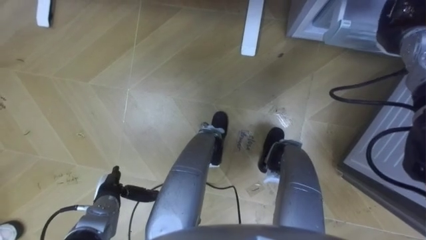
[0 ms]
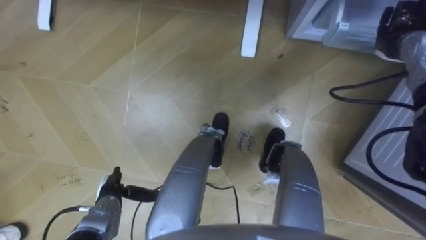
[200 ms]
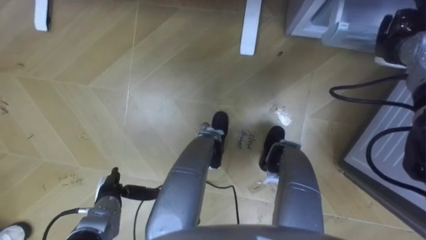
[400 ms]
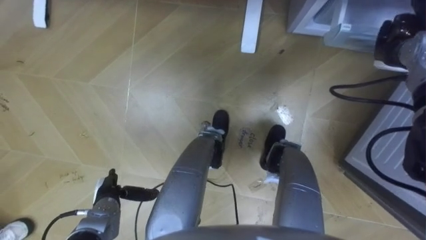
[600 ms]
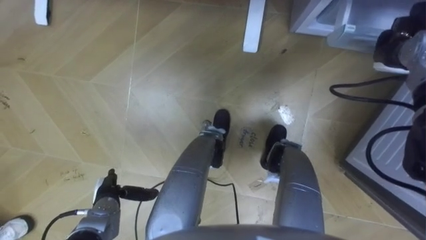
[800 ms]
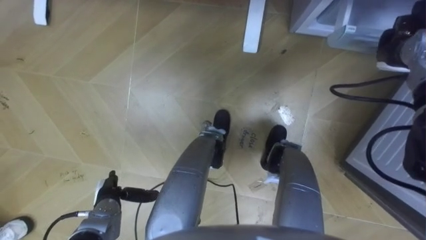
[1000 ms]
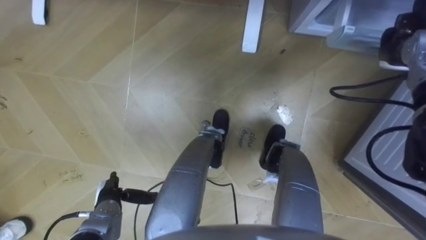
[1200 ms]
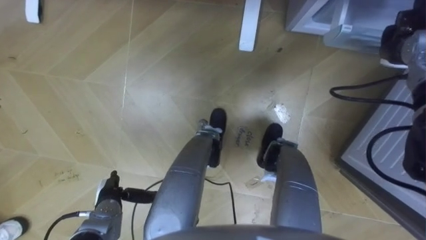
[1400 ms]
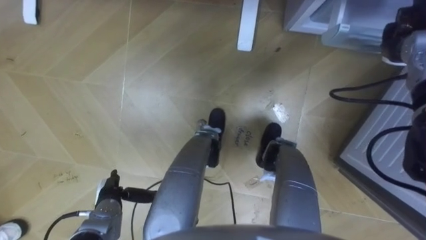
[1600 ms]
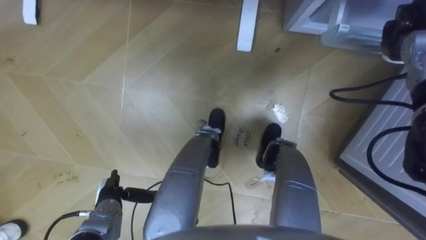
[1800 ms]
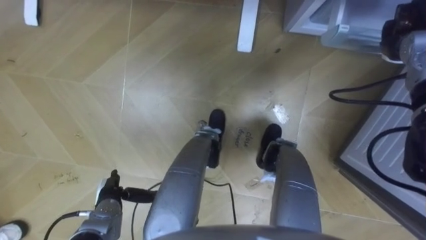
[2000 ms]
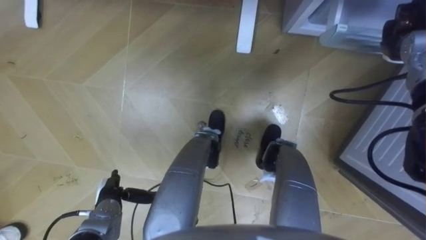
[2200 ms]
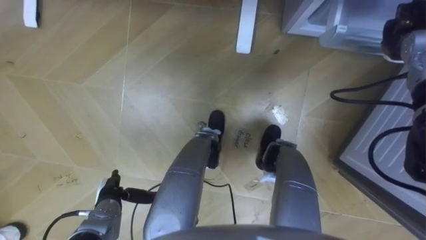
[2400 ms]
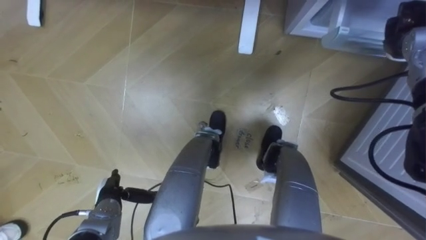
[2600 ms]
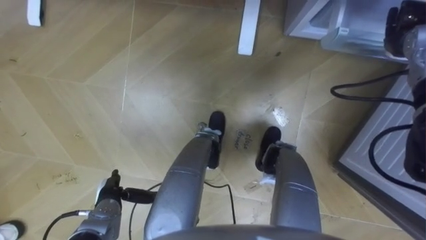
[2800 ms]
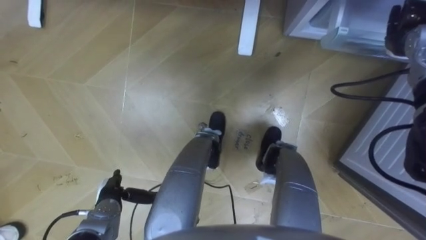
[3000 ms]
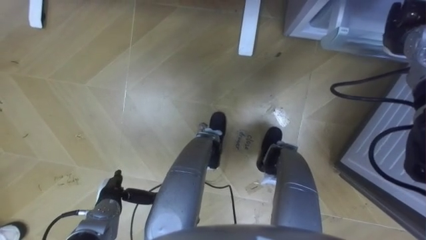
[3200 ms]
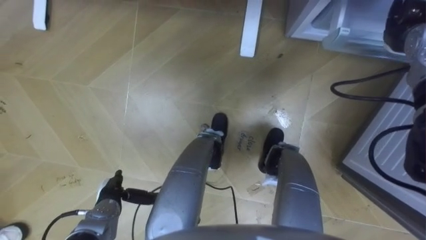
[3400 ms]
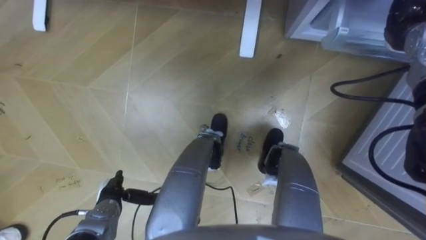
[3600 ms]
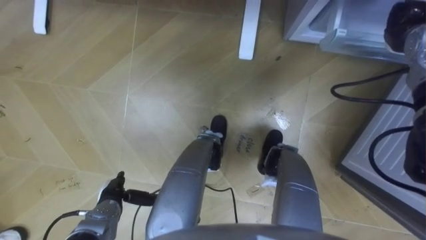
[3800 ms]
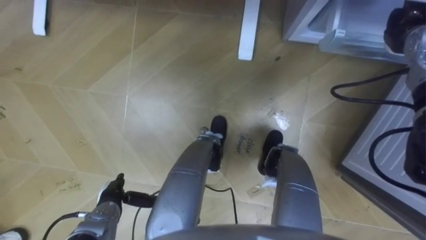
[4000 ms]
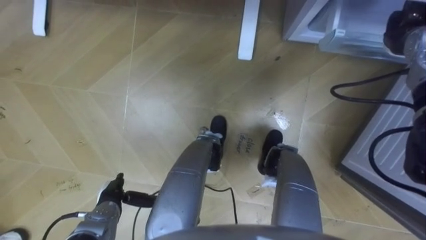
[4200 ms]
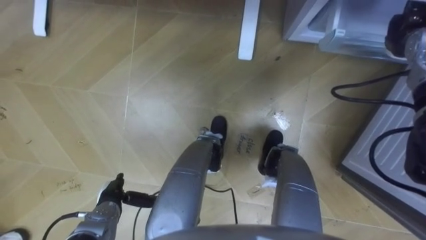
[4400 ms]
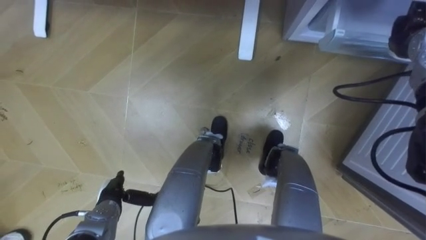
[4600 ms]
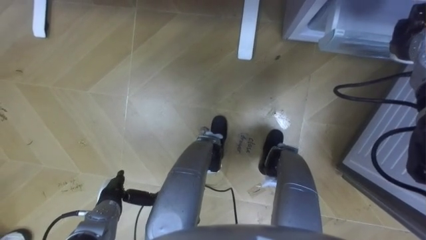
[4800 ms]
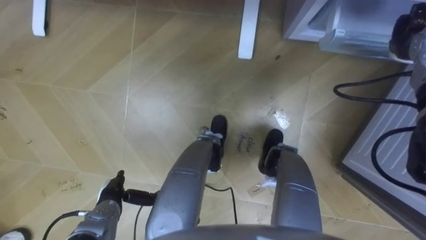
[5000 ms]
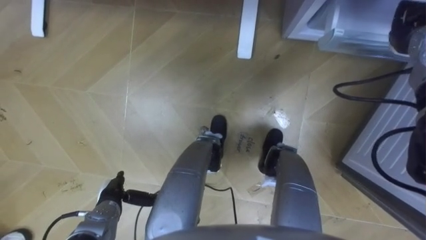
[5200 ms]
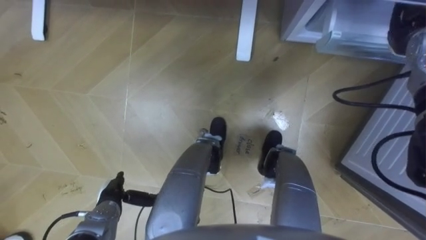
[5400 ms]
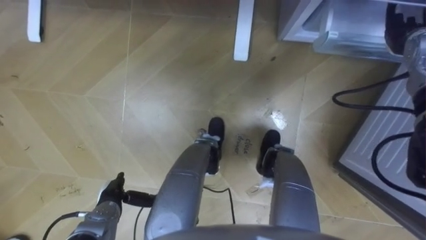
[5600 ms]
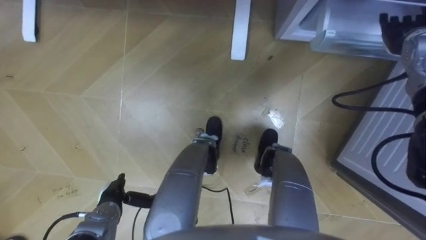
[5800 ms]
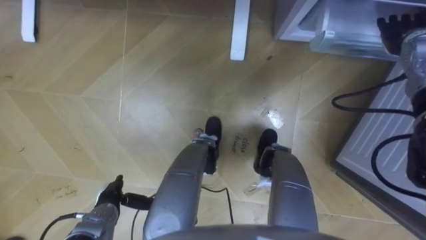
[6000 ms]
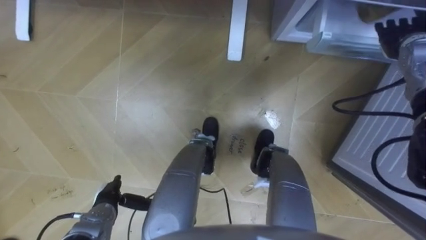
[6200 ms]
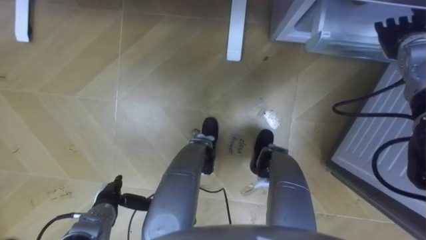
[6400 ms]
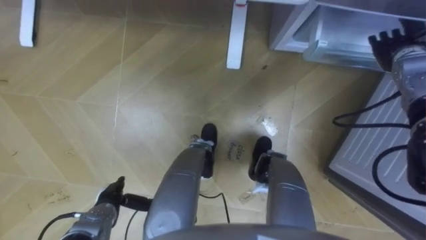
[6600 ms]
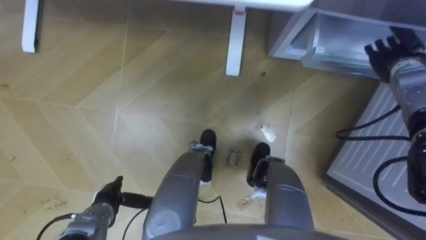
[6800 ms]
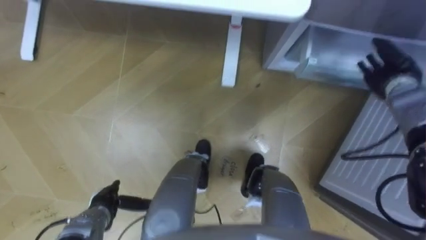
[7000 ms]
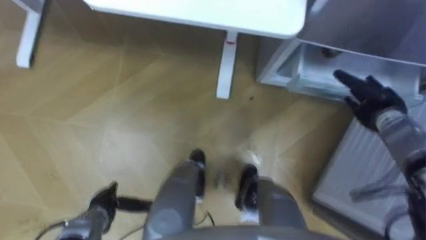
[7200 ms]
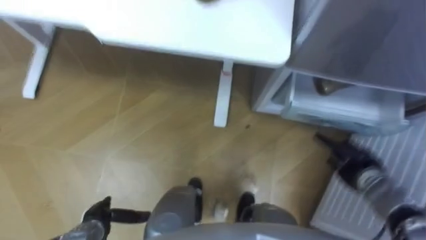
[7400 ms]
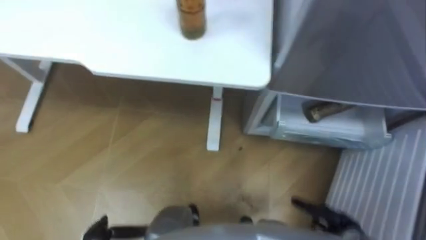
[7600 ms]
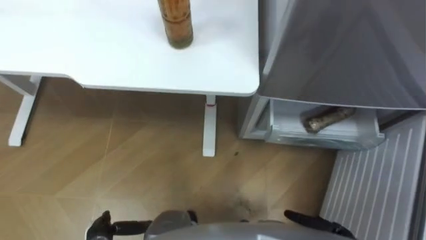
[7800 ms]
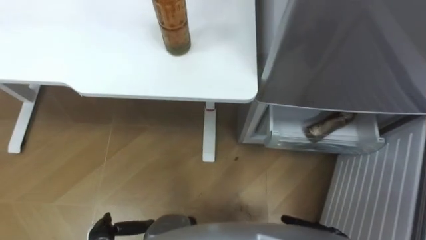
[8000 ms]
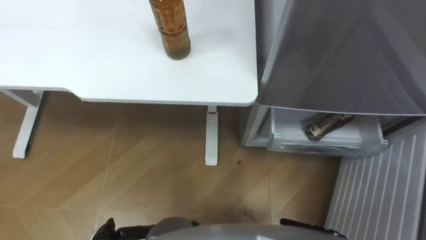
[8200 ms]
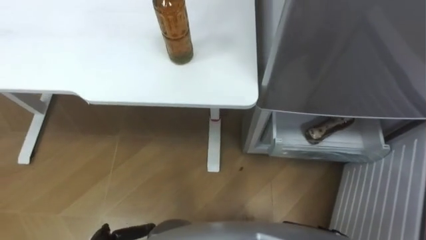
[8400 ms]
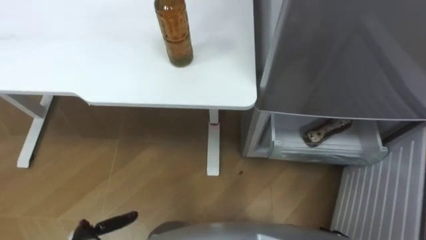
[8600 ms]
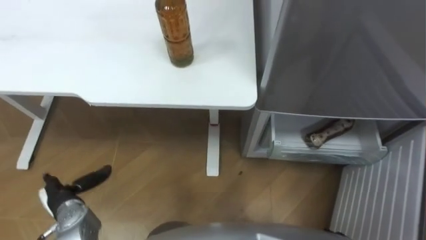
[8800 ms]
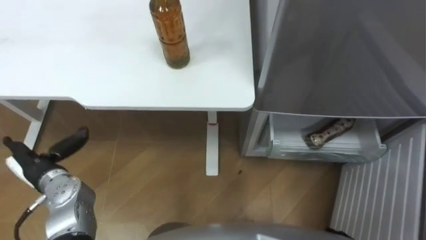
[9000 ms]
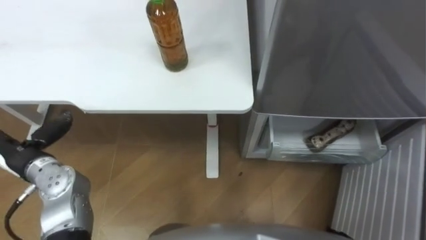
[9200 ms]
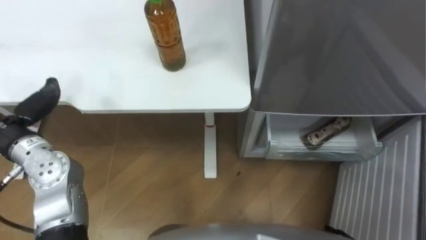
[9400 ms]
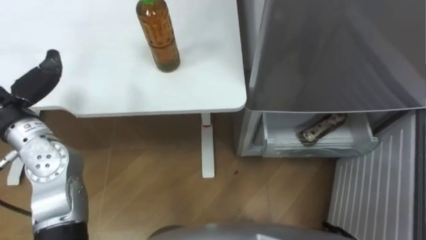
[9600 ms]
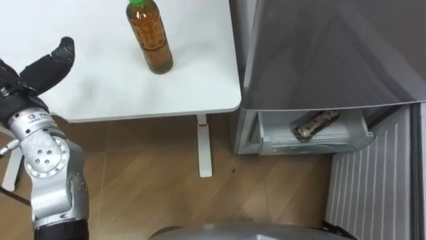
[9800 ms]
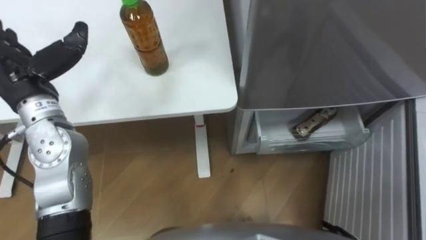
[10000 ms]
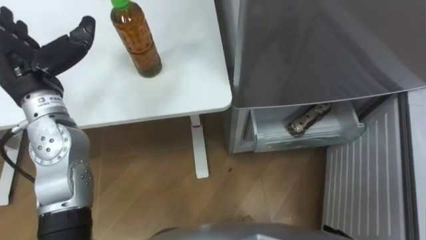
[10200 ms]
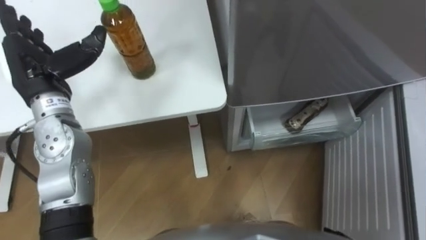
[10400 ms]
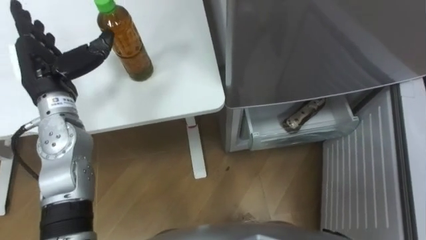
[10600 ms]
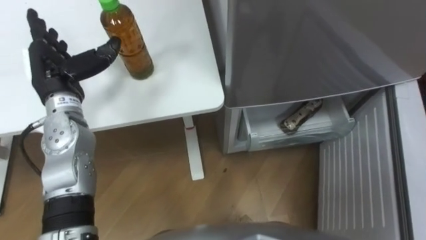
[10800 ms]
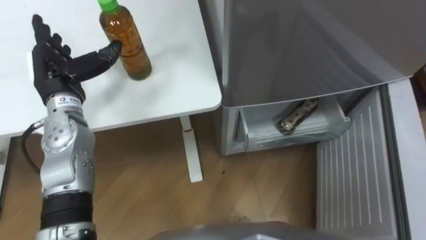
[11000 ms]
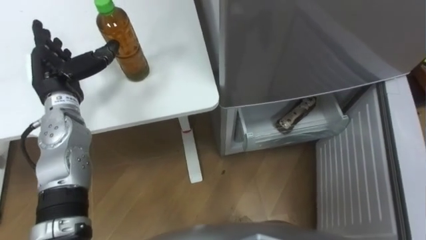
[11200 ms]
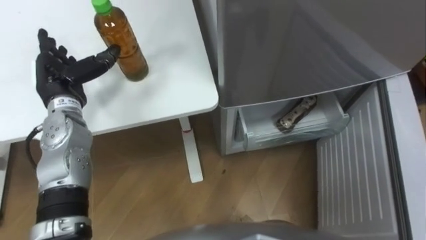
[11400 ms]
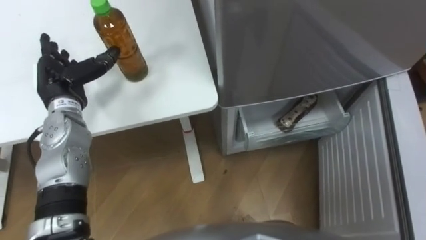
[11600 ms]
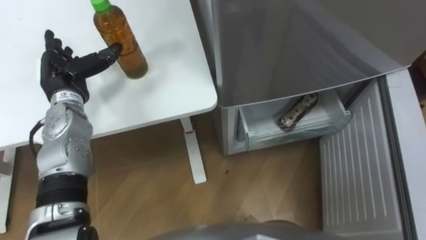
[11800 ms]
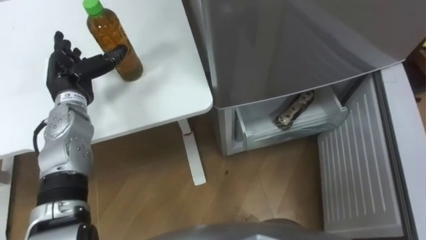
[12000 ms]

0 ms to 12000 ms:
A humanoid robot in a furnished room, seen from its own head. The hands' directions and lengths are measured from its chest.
Task of the whole recording: Place the drink on the table on the bottom shelf of the refrigerator, then close the drawer and the refrigerator door.
1600 ms to 3000 ms: Both hands stay put.
3000 ms to 4400 ms: The hands move only a little.
4400 ms to 6000 ms: The right hand opens up.
6000 ms to 7600 ms: The right hand is displaced backward and downward by approximately 40 cm.
10400 ms to 12000 ms: The left hand goes approximately 10 cm downward.

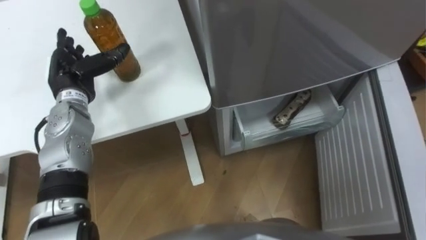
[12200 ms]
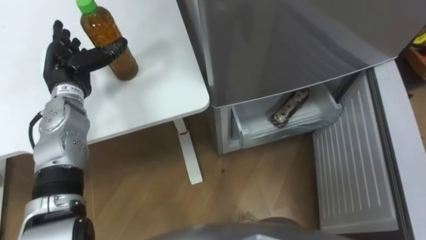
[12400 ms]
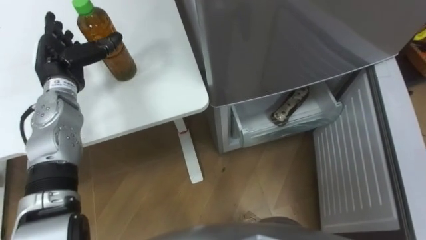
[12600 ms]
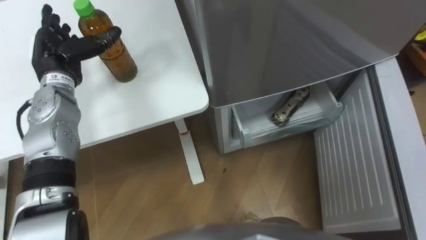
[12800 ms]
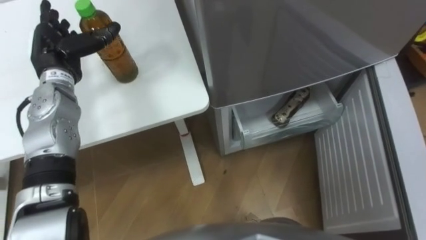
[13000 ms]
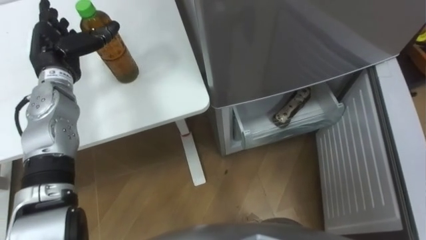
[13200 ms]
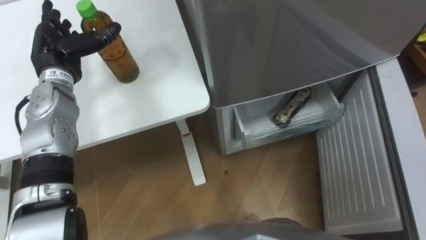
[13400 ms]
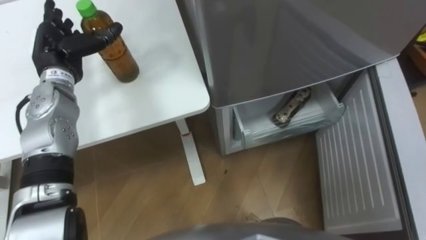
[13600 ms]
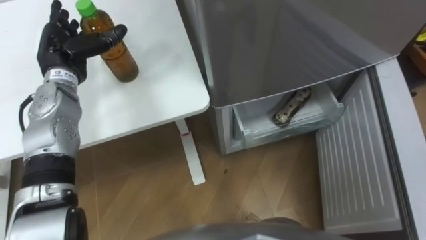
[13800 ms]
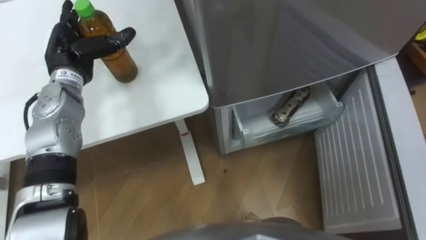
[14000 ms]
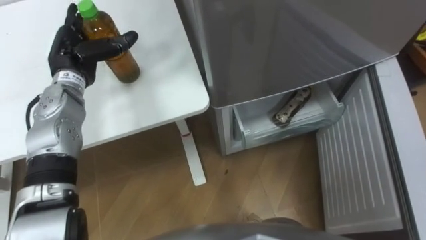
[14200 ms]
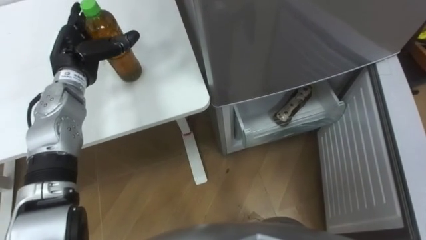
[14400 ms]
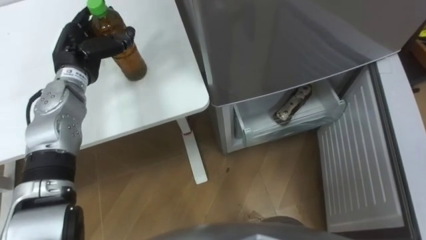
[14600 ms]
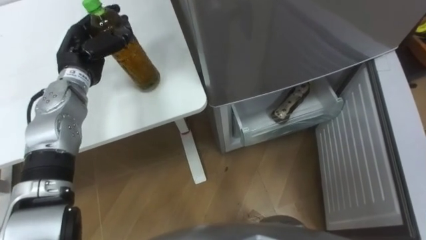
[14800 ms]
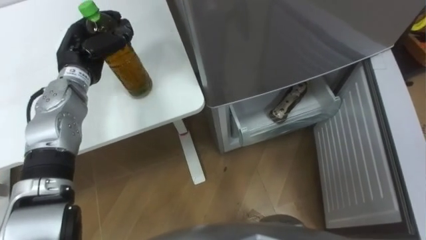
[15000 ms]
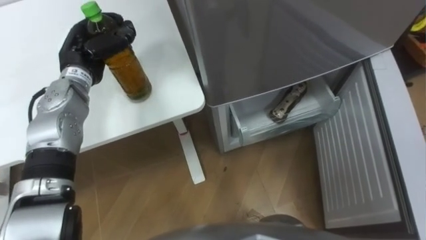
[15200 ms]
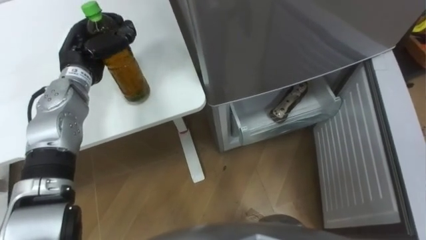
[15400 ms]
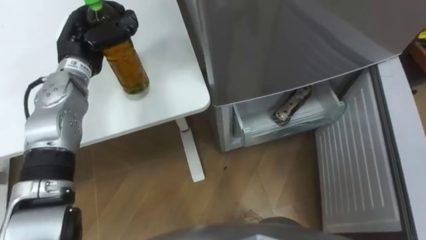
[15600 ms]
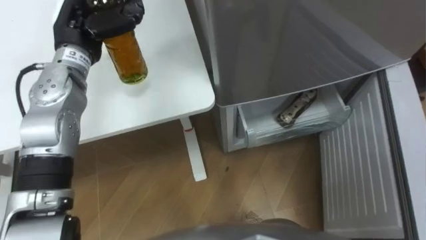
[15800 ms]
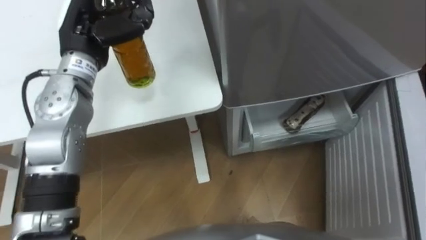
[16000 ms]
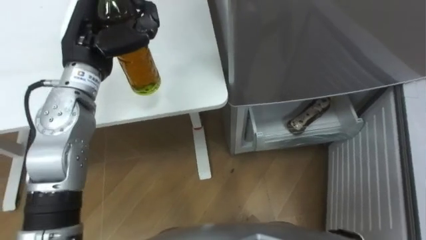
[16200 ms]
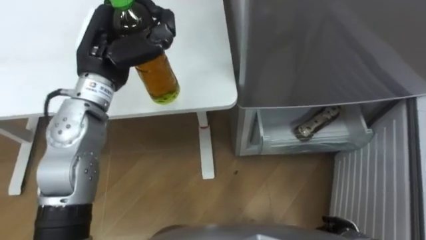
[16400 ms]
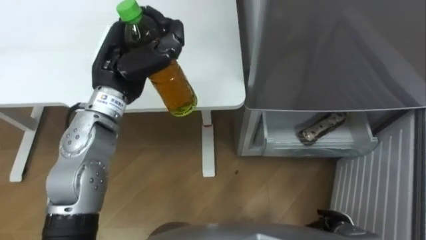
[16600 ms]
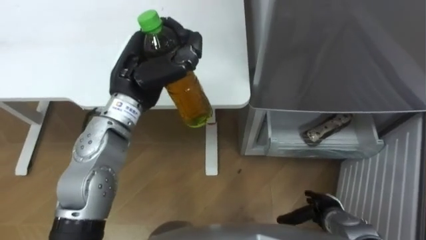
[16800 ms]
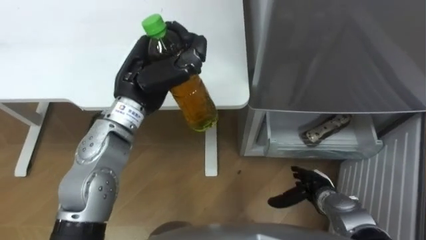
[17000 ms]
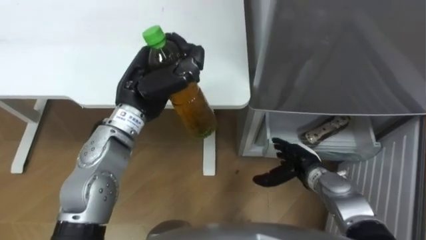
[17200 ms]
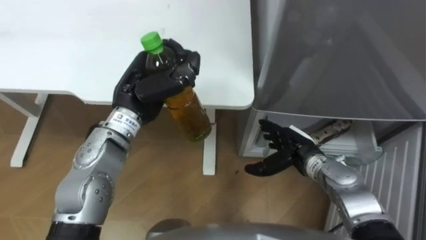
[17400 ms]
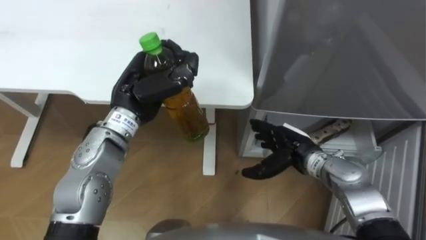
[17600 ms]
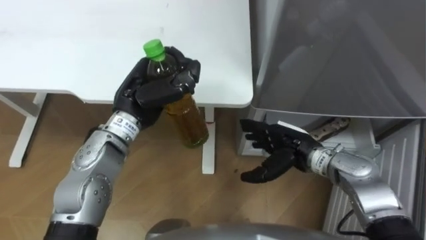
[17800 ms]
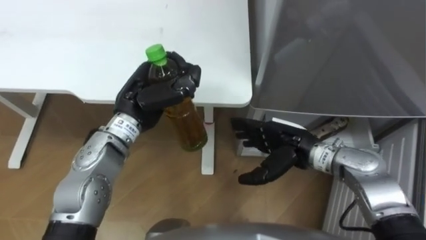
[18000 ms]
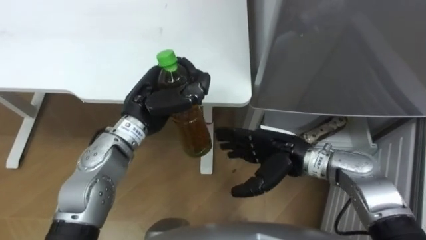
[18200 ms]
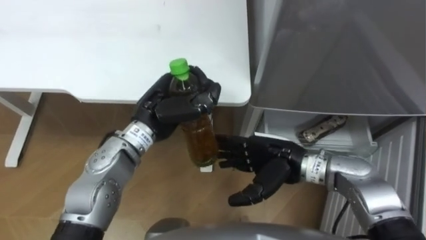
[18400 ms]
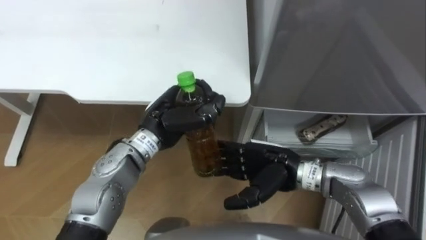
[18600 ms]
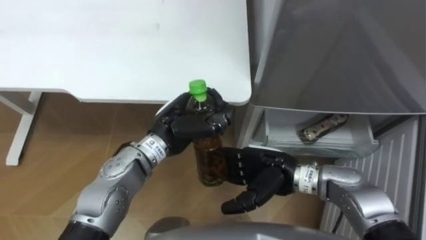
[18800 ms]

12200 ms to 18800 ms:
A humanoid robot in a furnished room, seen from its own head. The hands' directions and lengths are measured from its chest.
Task of the whole recording: Place the drink on the table on the bottom shelf of the refrigerator, then close the drawer and the refrigerator door.
13800 ms to 15400 ms: The left hand closes up.
15400 ms to 17200 ms: The left hand goes some 15 cm to the right and backward.
17200 ms to 18800 ms: The left hand moves downward, roughly 5 cm. Meanwhile the right hand moves to the left and upward, approximately 15 cm.
